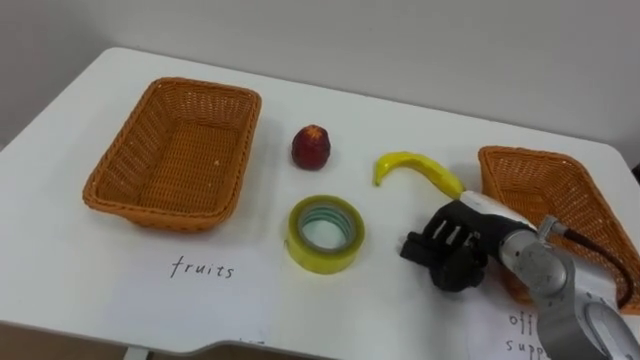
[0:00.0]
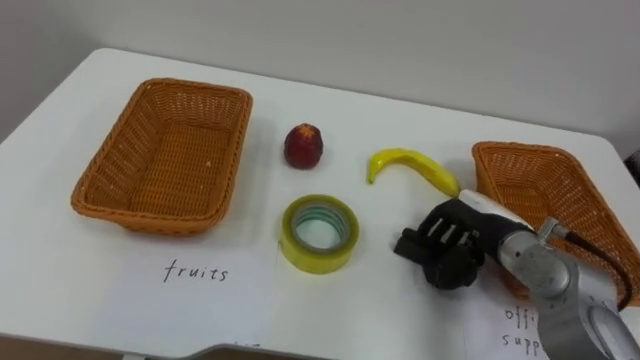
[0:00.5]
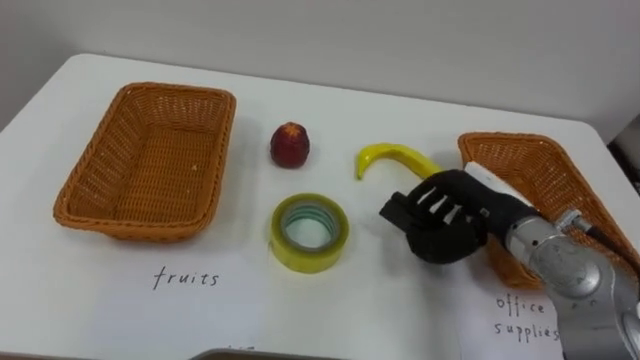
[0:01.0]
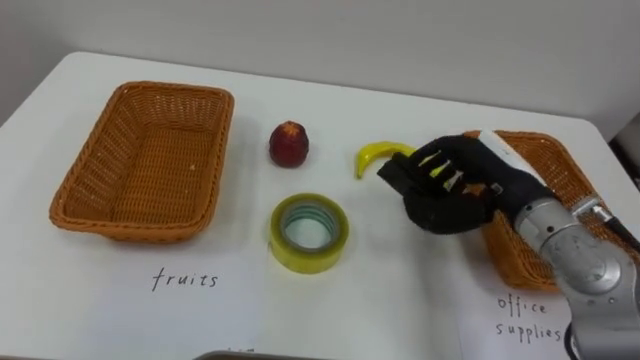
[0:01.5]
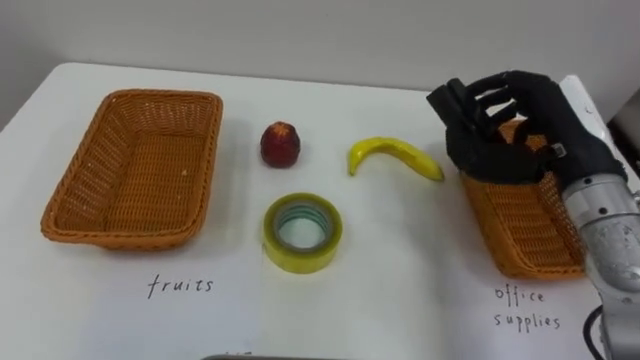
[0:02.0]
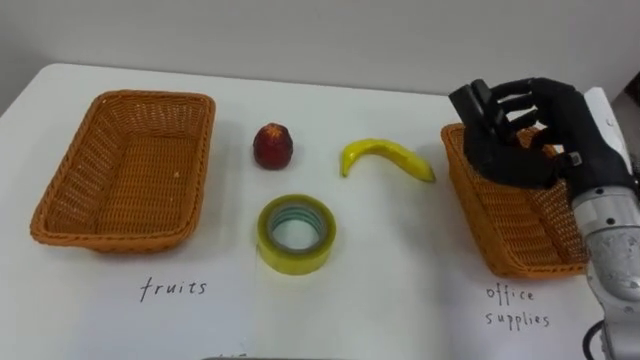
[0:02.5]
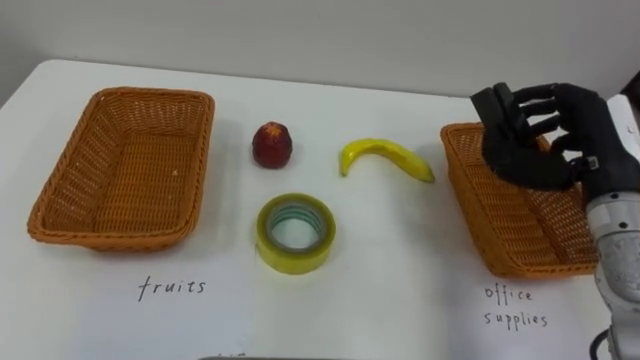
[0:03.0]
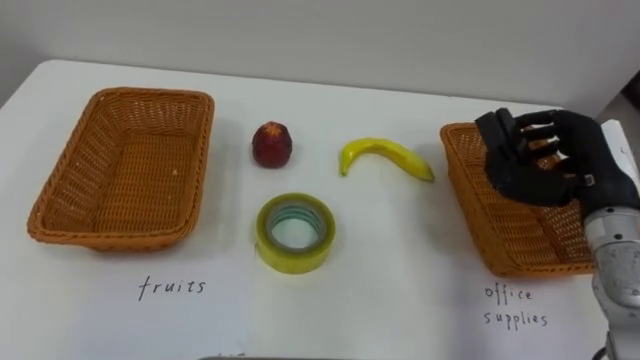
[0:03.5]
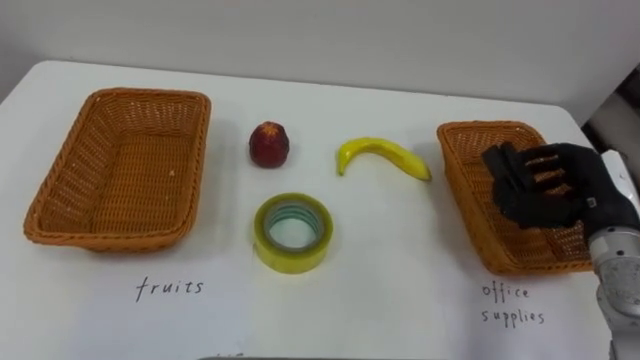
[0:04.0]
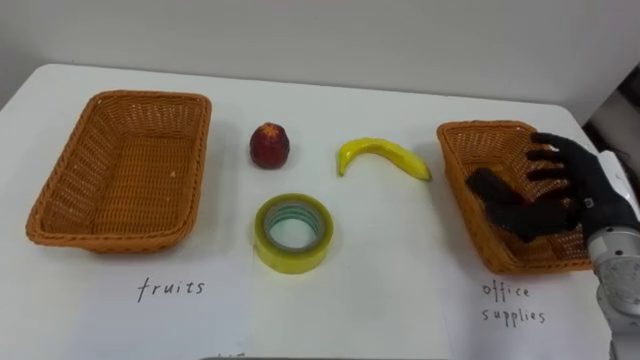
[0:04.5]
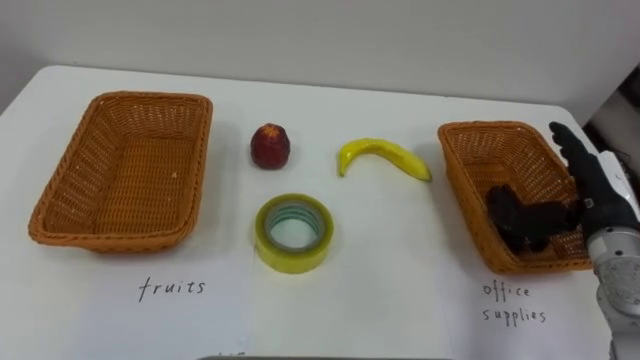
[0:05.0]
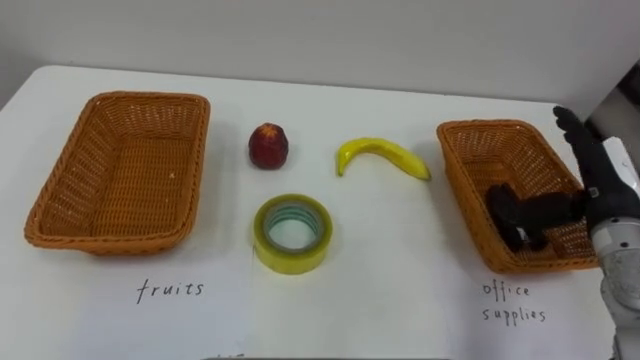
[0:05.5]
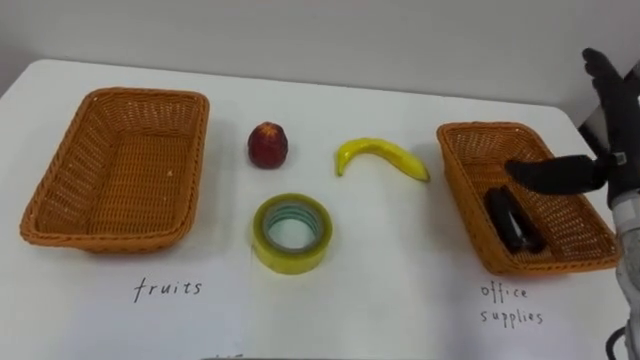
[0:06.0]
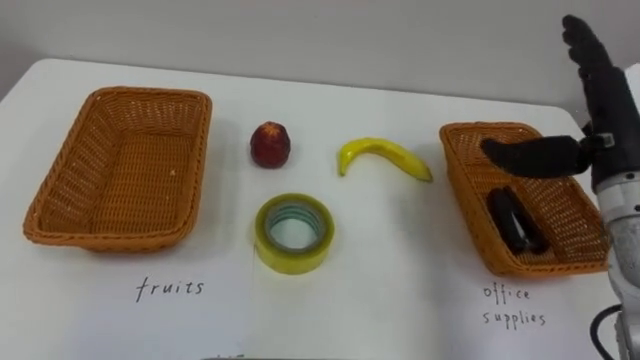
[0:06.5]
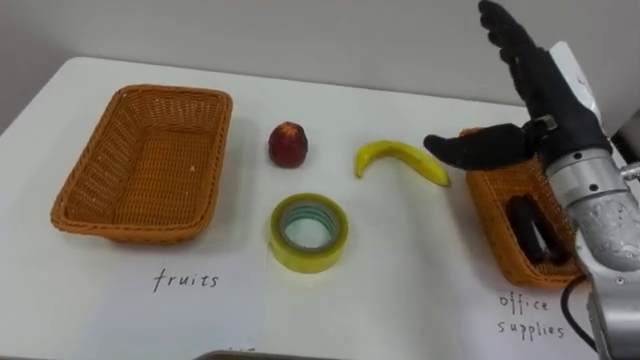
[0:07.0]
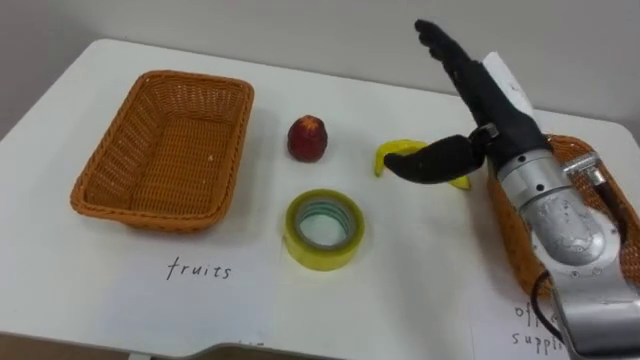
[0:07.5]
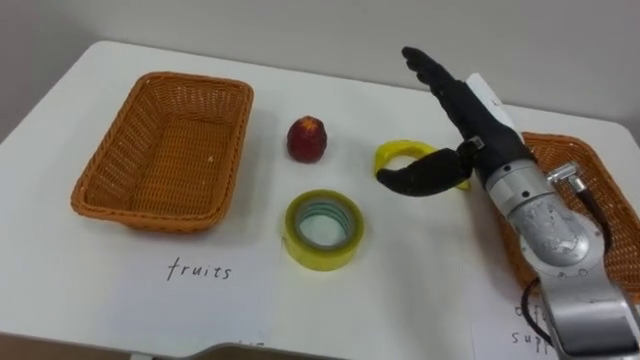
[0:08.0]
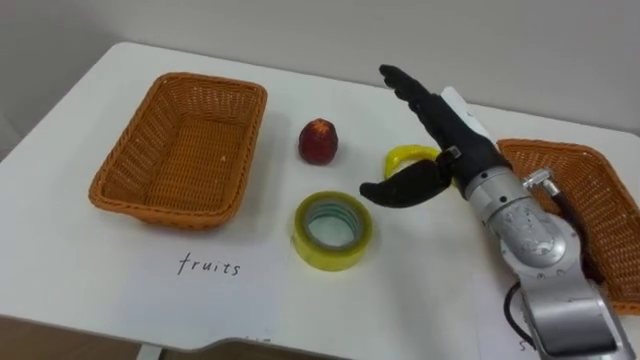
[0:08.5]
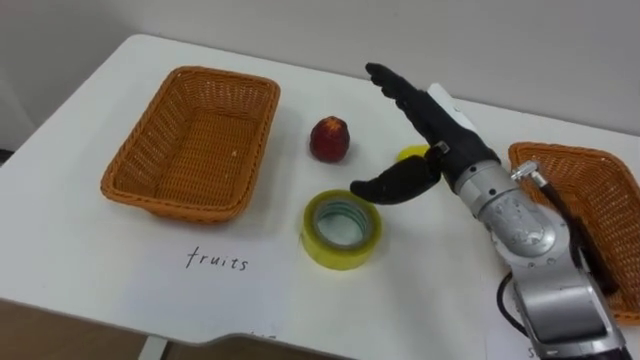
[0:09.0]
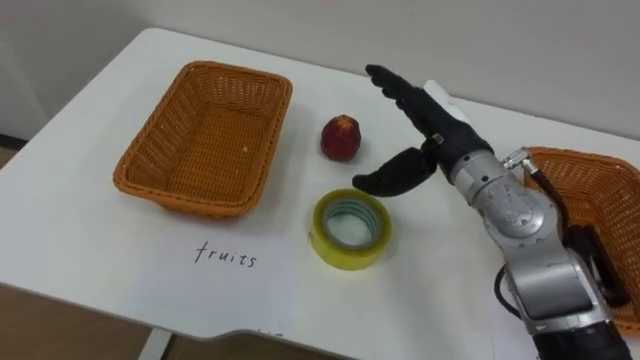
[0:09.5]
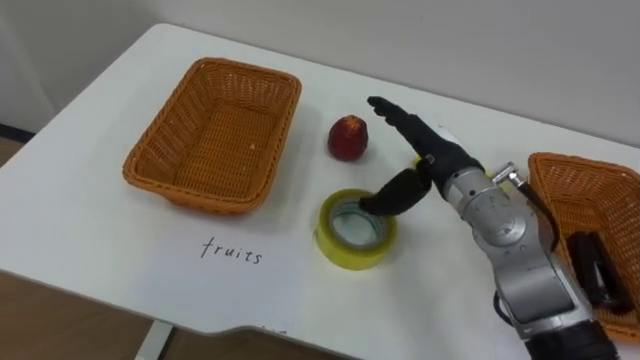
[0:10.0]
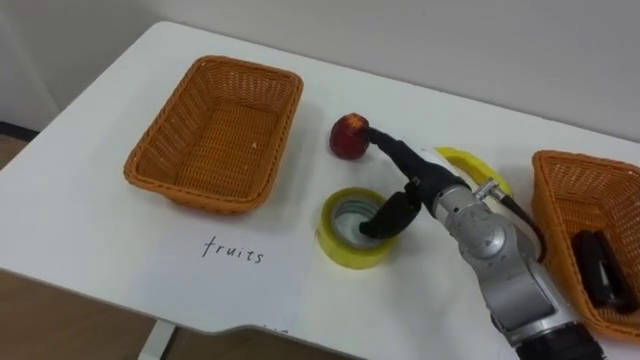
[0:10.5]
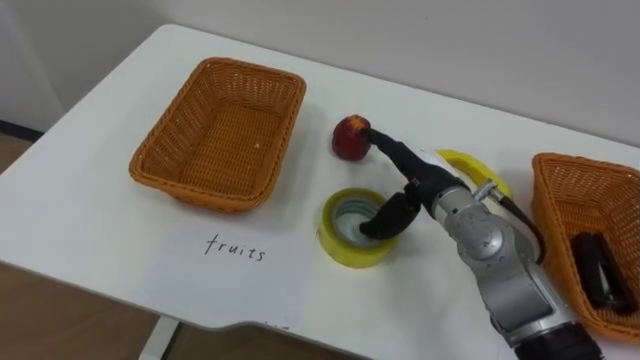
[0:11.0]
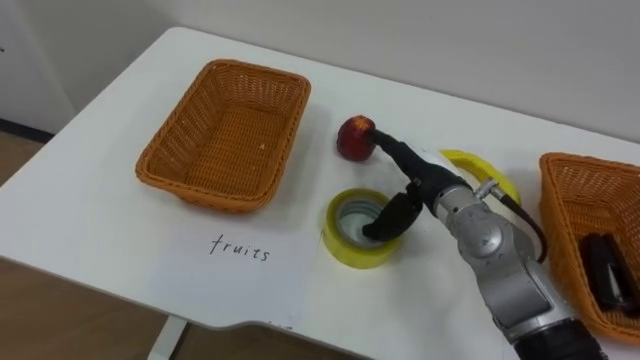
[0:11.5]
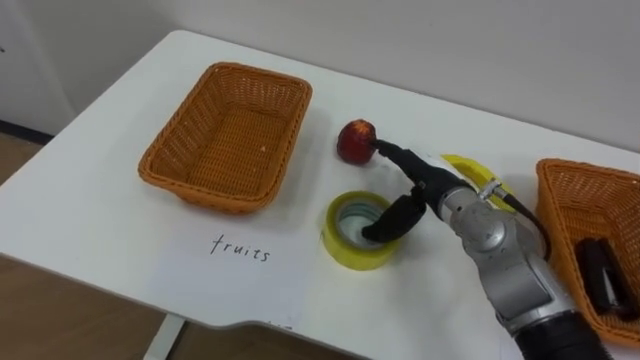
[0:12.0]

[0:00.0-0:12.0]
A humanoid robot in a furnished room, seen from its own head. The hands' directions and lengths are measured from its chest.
Task of the whole recording: Separate the items on the table and place them into the two baskets.
0:00.0 to 0:02.0: The right hand travels upward by approximately 15 cm.
0:02.0 to 0:04.0: The right hand travels downward and to the right by roughly 10 cm.
0:04.0 to 0:06.0: The right hand moves upward, roughly 10 cm, and opens up.
0:06.0 to 0:08.0: The right hand heads to the left, covering some 15 cm.
0:08.0 to 0:10.0: The right hand moves downward, approximately 5 cm.
0:10.0 to 0:12.0: The right hand heads downward, covering roughly 5 cm.

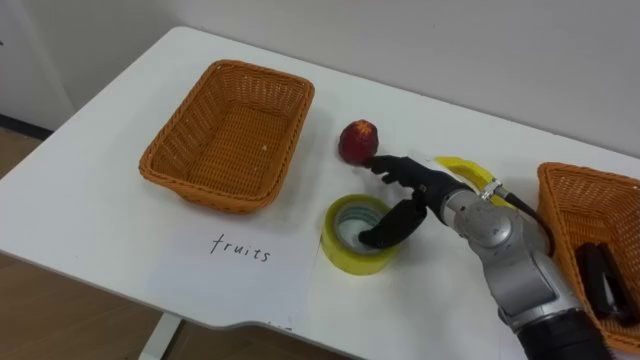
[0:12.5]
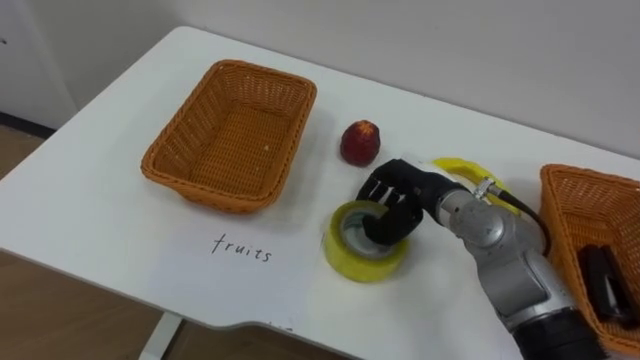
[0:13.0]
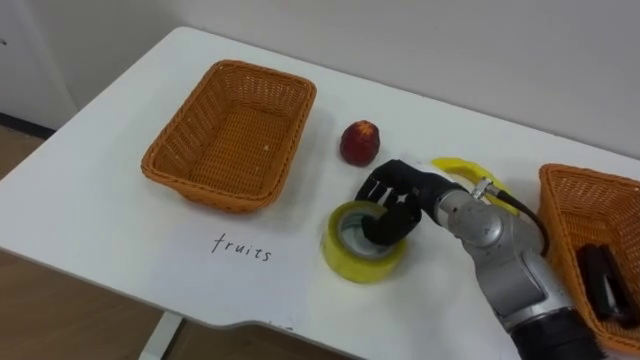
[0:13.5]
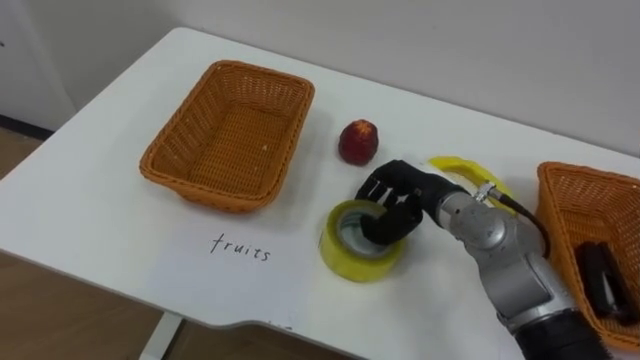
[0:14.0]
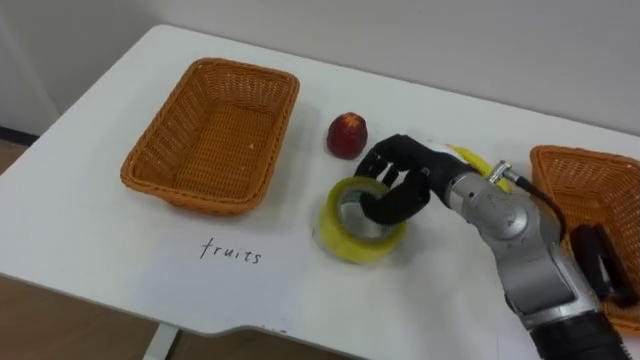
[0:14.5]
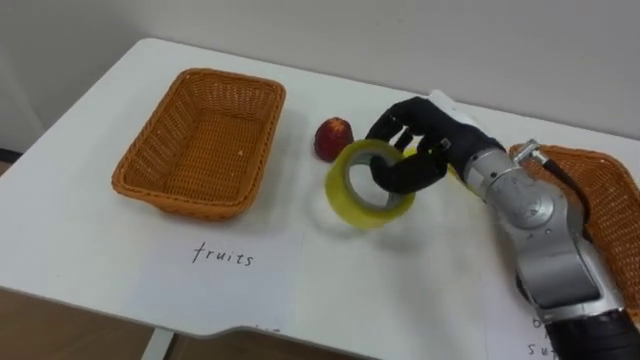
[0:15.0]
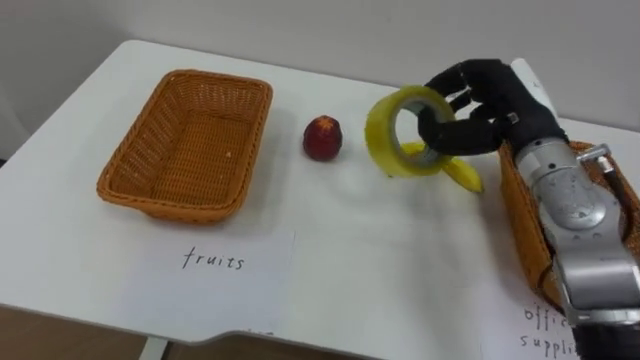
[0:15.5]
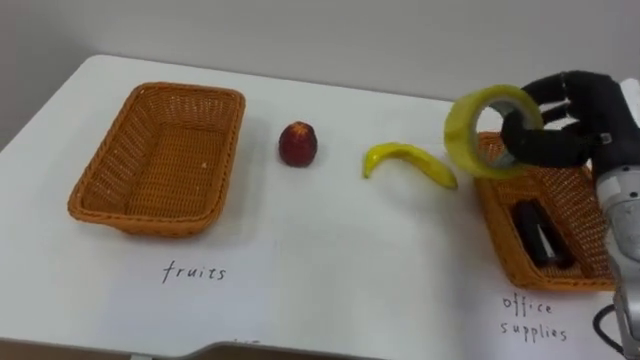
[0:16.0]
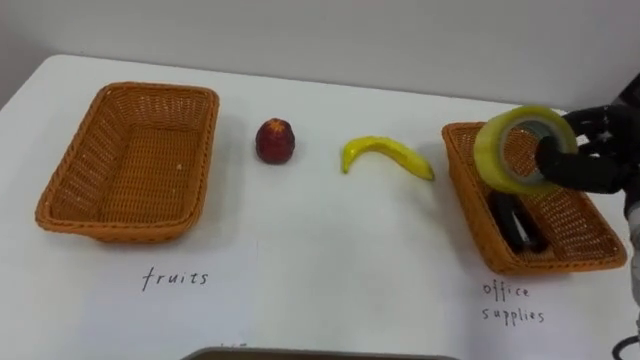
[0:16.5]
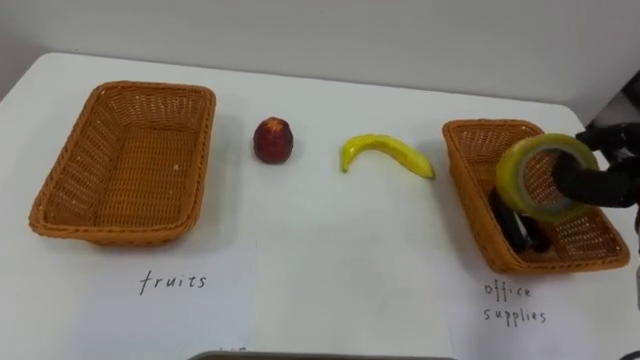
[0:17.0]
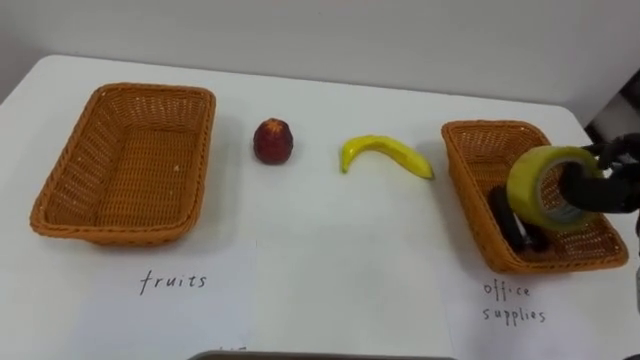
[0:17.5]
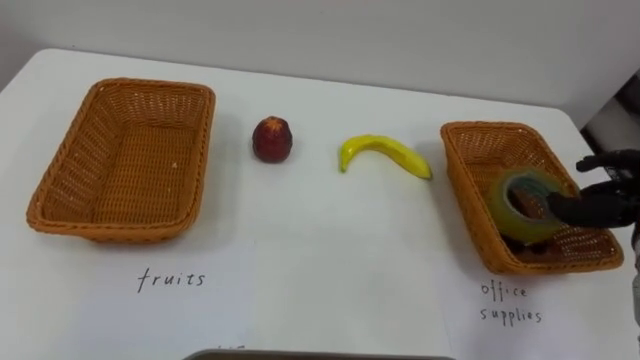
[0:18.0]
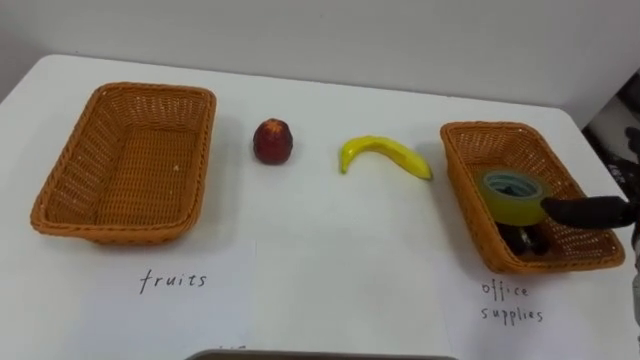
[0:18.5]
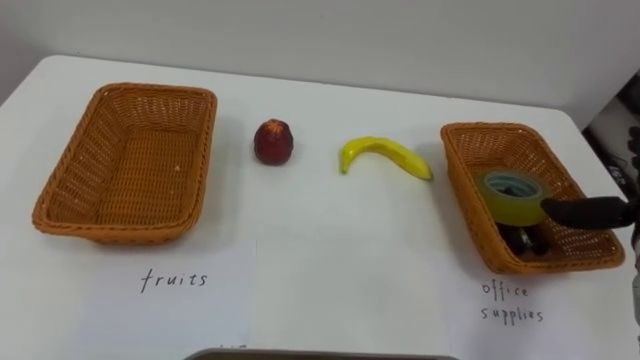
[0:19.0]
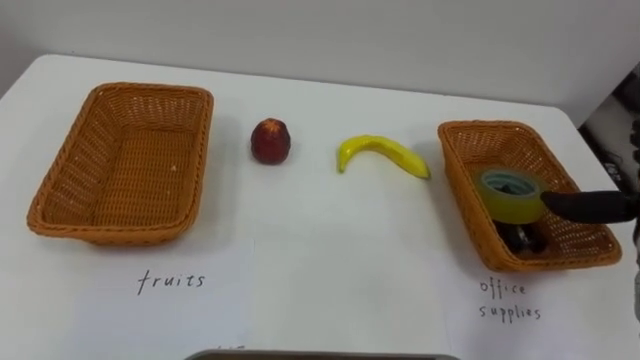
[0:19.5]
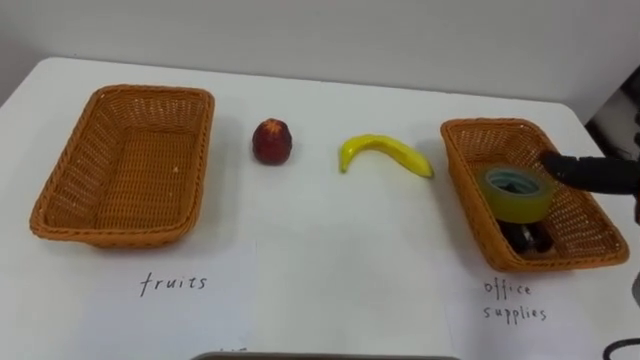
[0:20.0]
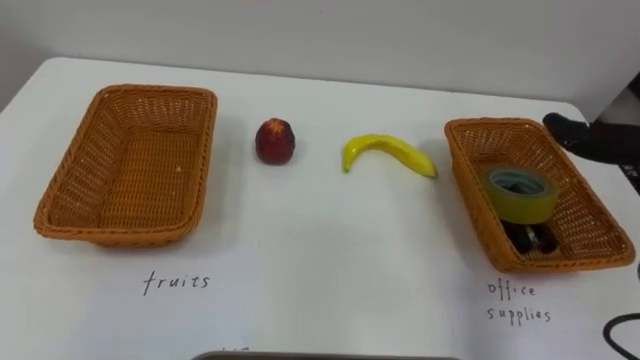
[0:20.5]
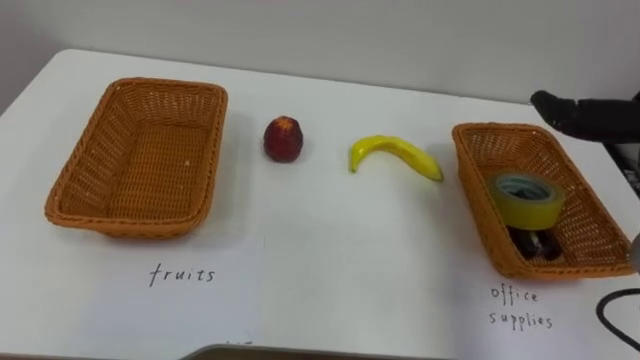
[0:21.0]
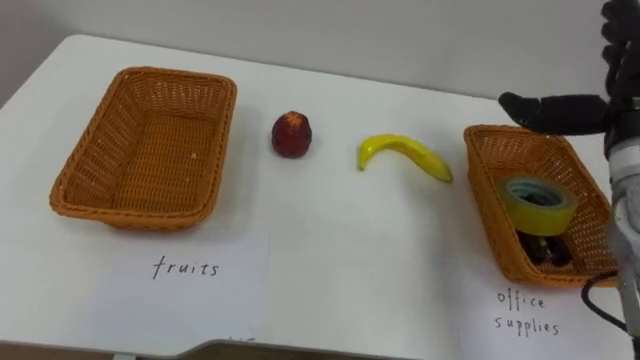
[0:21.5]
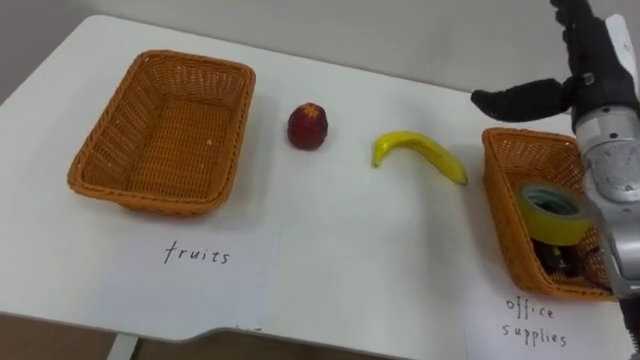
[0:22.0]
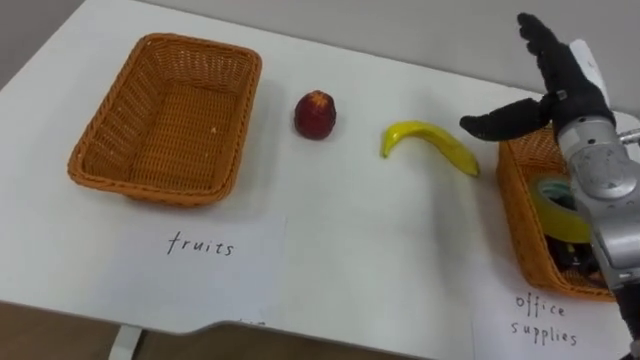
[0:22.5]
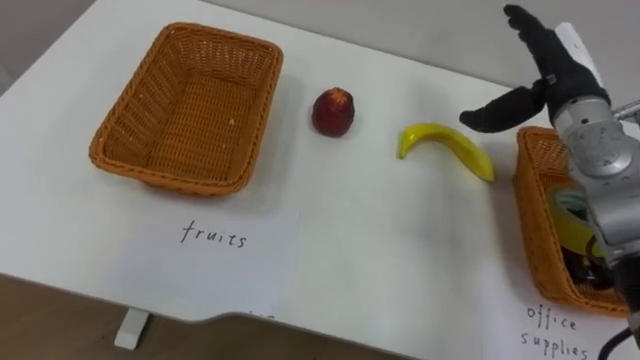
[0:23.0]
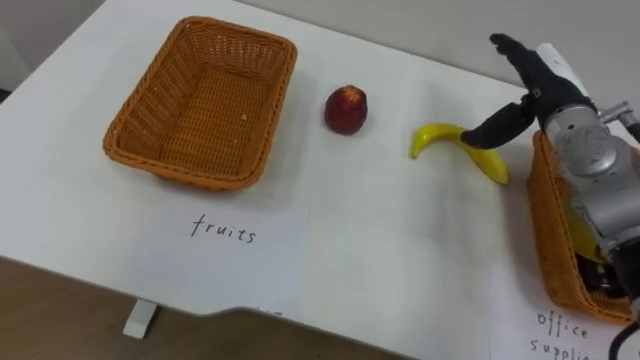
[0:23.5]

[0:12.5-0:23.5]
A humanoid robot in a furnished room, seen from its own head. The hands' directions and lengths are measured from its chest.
Task of the whole recording: Separate the items on the table and place them into the two baskets.
0:12.5 to 0:14.5: The right hand closes.
0:14.5 to 0:16.0: The right hand heads to the right, covering roughly 20 cm.
0:21.5 to 0:23.5: The right hand goes approximately 10 cm forward.
